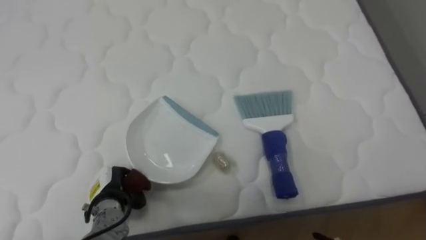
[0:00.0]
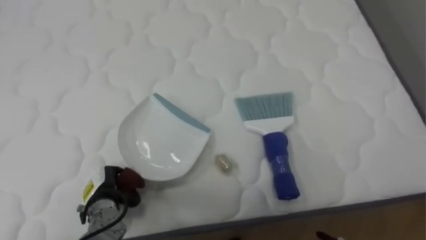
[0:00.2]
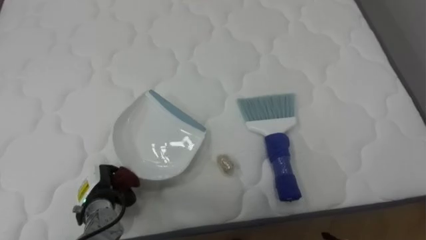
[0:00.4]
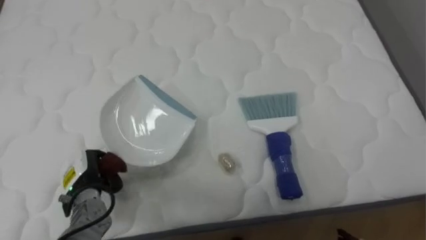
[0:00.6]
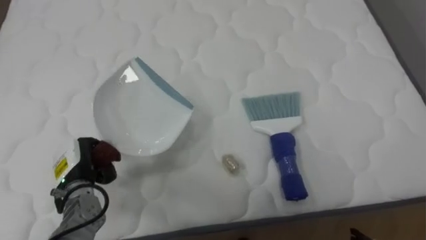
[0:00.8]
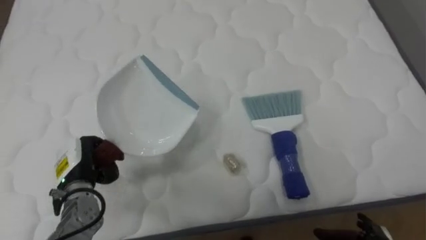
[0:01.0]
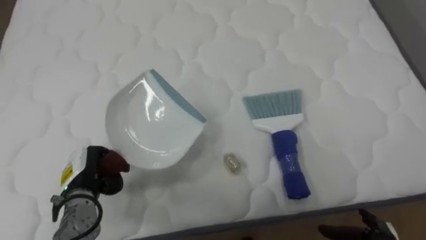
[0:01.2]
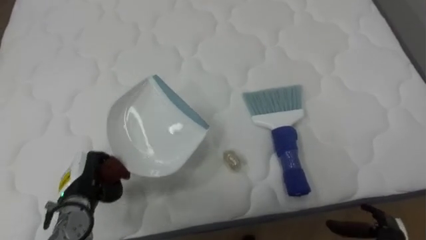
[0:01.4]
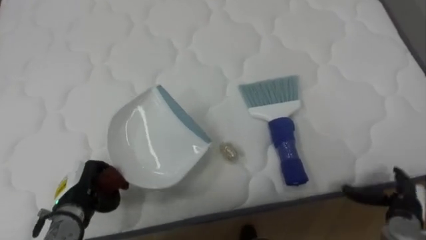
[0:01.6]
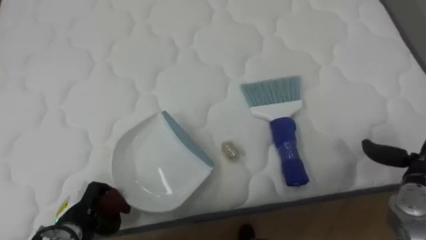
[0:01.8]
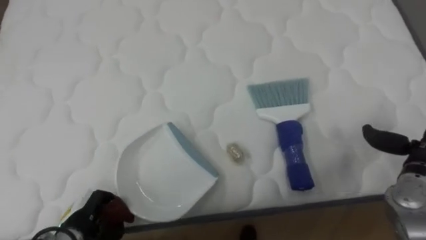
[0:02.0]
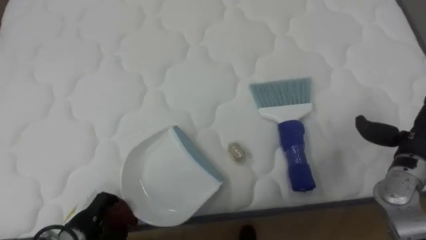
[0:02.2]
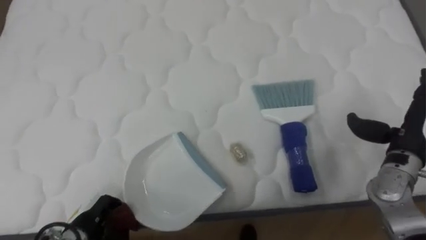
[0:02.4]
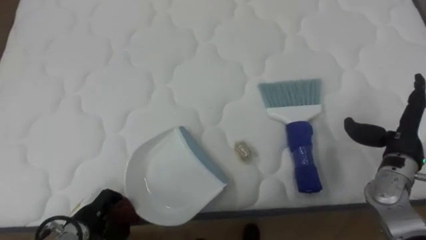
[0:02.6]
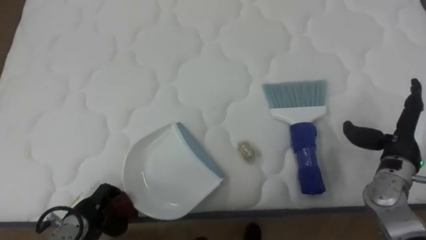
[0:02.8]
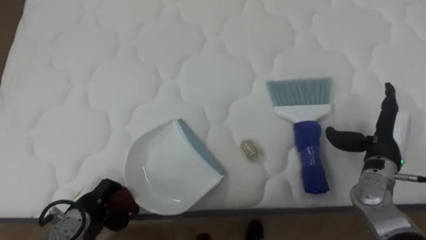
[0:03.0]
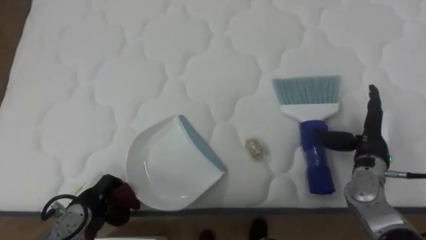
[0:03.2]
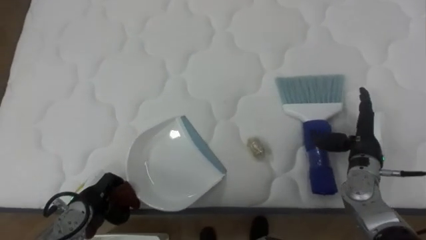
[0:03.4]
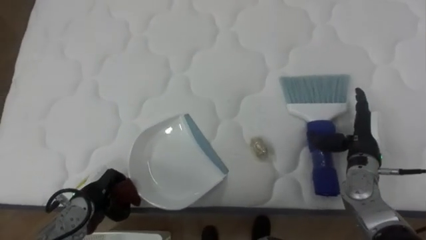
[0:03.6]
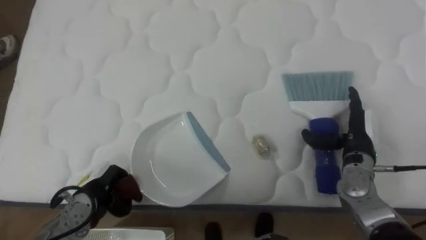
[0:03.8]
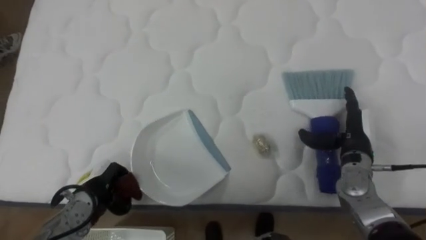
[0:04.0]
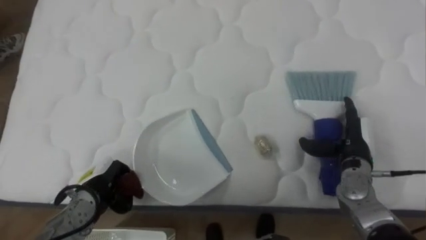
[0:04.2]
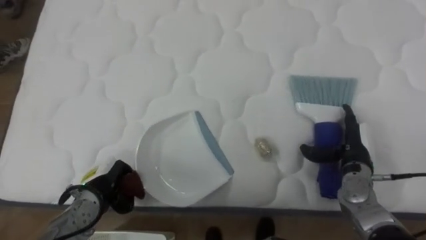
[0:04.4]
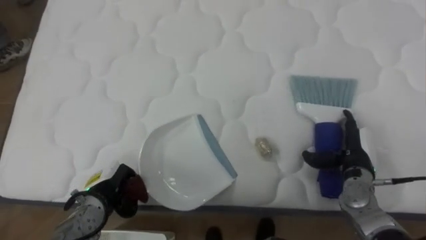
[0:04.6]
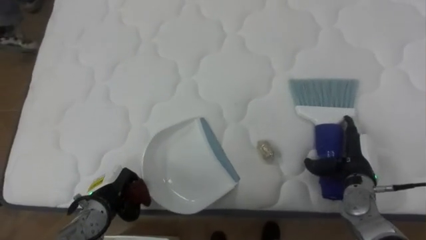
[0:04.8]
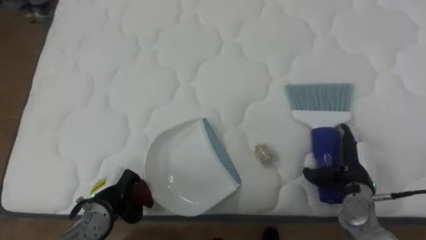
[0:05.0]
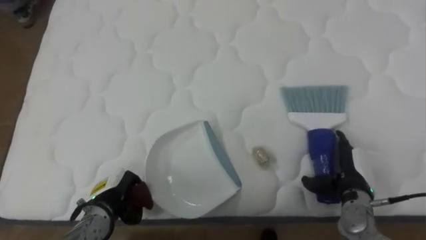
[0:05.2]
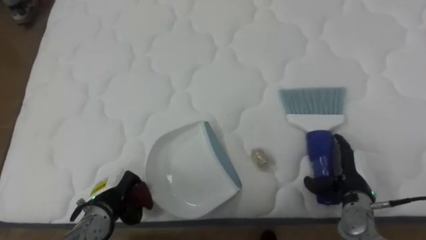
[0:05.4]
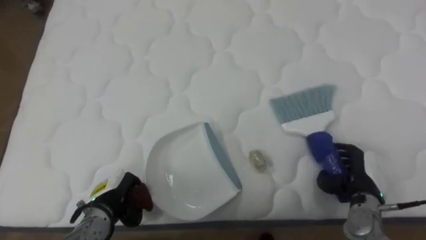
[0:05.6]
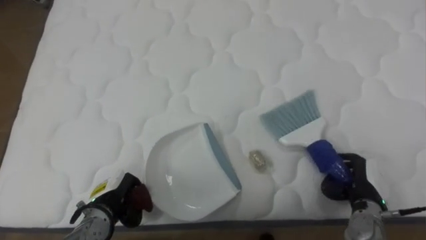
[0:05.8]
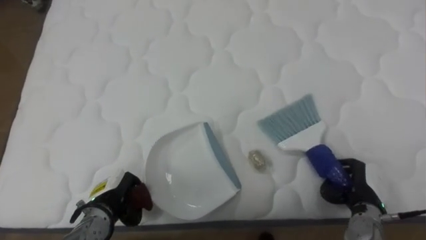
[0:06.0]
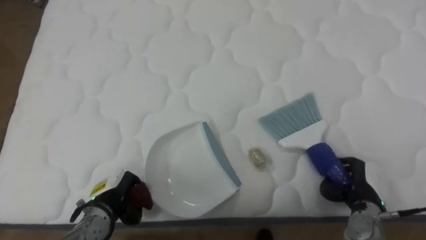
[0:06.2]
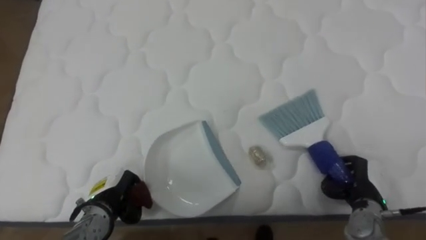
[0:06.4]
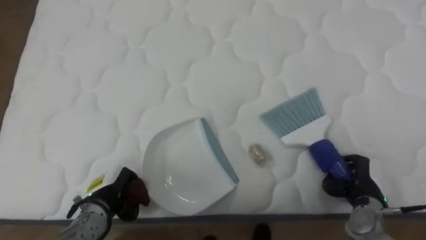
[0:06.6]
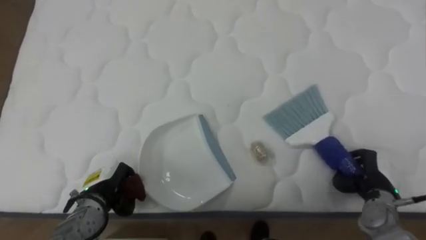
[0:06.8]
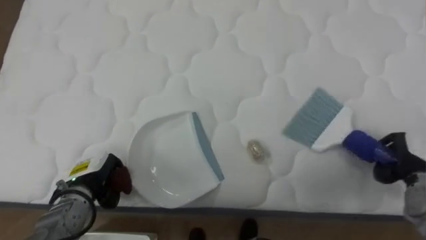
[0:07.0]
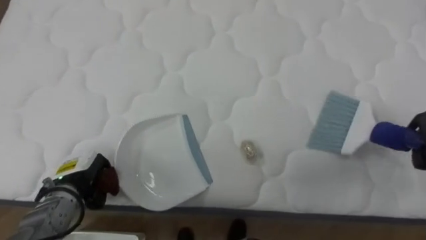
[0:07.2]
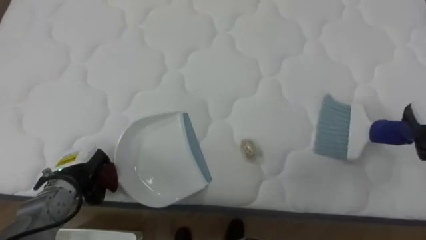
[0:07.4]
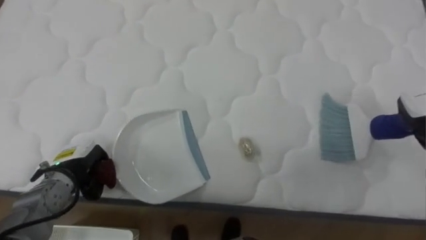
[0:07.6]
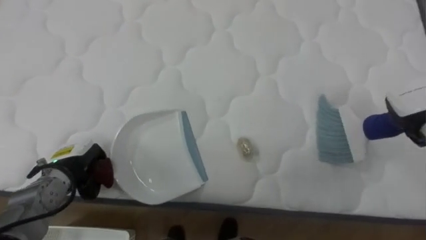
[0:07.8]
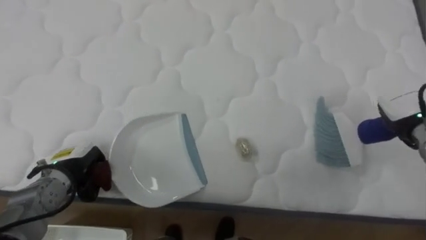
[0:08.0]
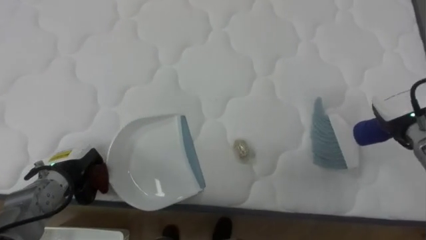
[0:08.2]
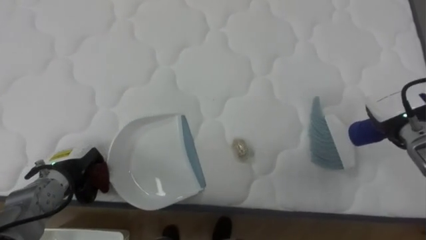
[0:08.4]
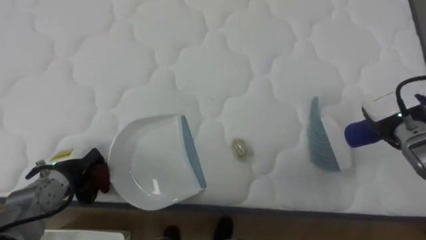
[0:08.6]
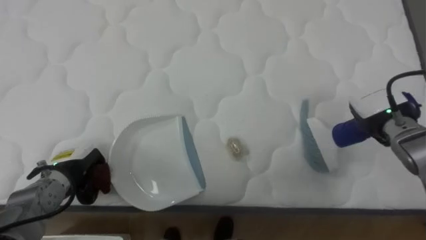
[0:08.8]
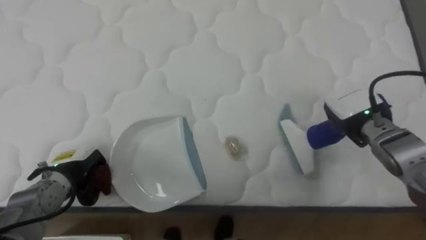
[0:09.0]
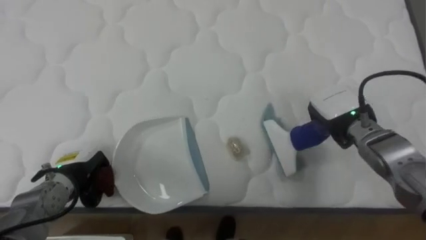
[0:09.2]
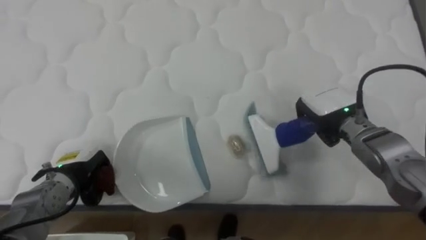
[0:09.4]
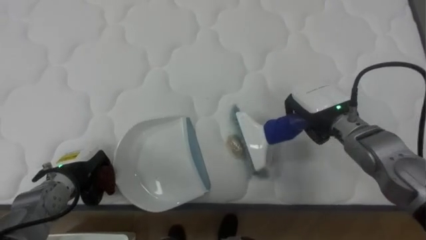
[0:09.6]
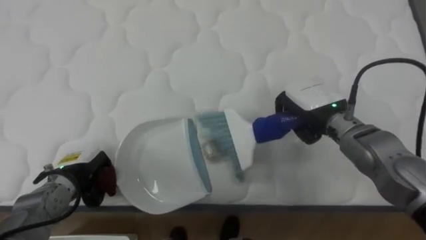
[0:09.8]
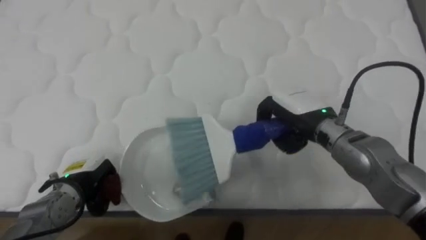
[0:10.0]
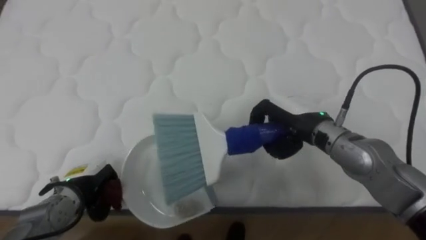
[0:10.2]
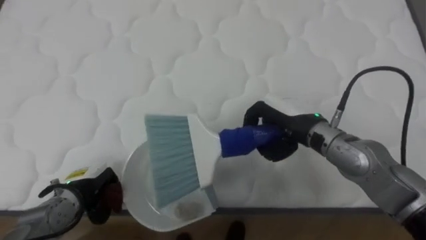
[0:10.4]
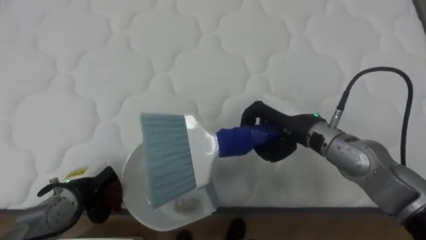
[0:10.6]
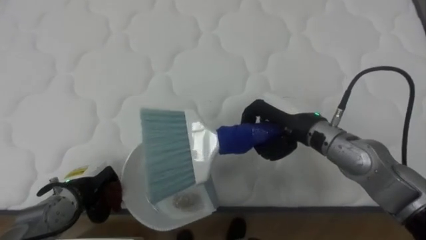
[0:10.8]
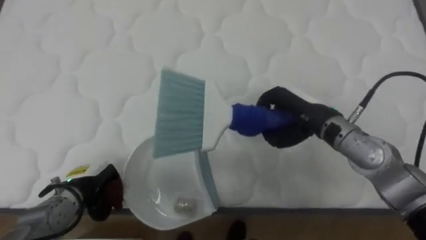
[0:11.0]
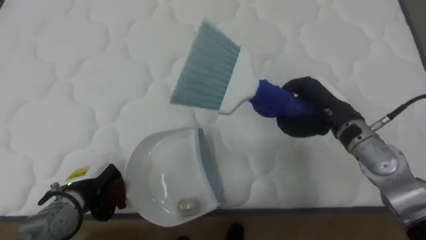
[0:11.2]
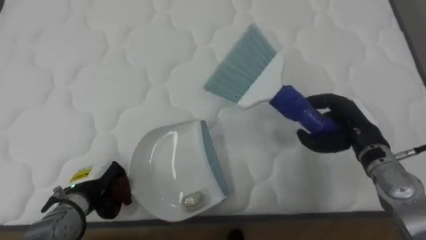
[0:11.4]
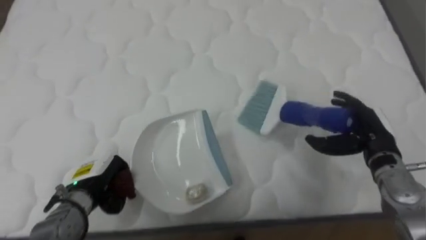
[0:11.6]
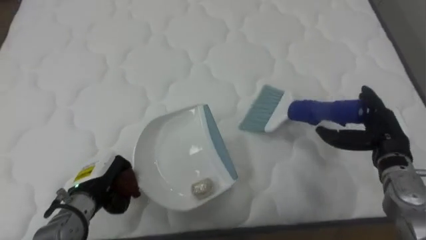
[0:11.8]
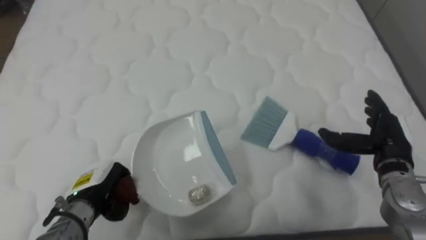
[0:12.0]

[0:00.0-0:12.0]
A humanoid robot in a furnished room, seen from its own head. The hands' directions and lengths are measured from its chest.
Task of the whole recording: Pick up the brush on your right and the dustpan on your left. Use the brush to sweep the crumpled paper on the bed into the dustpan, then turn left and empty it into the basket.
0:00.0 to 0:01.6: The left hand shifts roughly 5 cm to the left.
0:01.6 to 0:03.0: The right hand shifts about 15 cm upward, forward and to the left.
0:03.0 to 0:04.4: The right hand travels downward by about 5 cm.
0:04.4 to 0:06.0: The right hand shifts approximately 10 cm backward and downward, and closes up.
0:06.0 to 0:07.6: The left hand is displaced to the left and upward by roughly 10 cm.
0:07.6 to 0:09.0: The right hand moves to the left, approximately 15 cm.
0:09.0 to 0:10.4: The right hand moves to the left, about 15 cm.
0:10.4 to 0:12.0: The right hand heads to the right, covering some 20 cm, and opens.

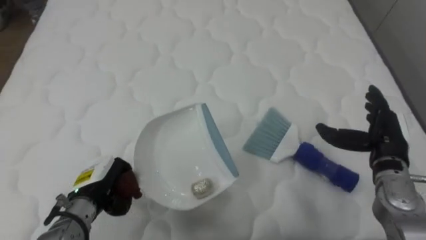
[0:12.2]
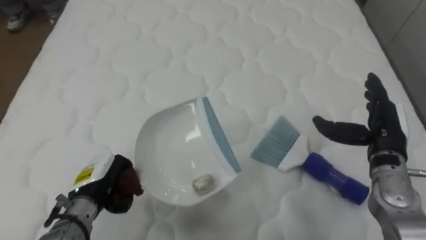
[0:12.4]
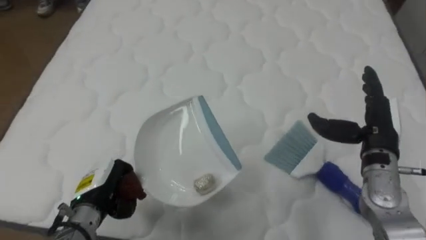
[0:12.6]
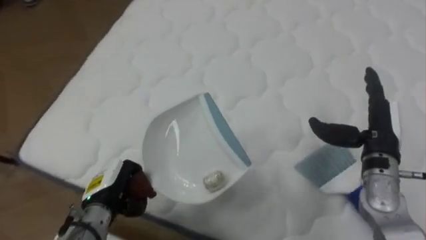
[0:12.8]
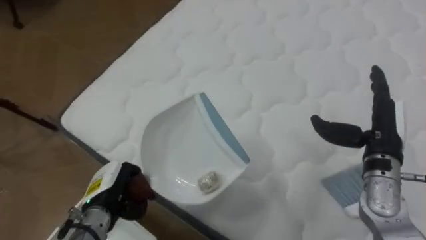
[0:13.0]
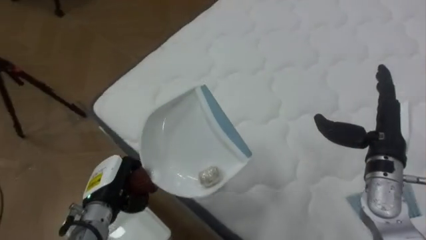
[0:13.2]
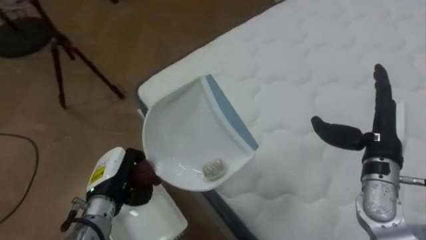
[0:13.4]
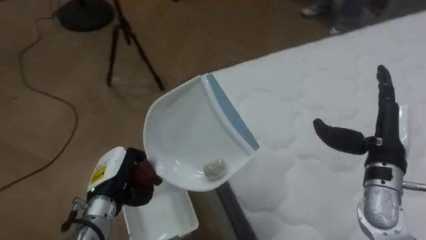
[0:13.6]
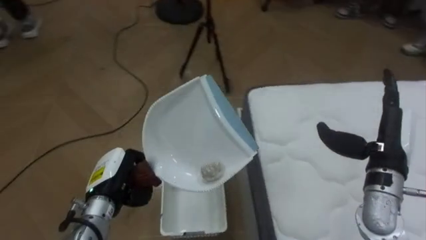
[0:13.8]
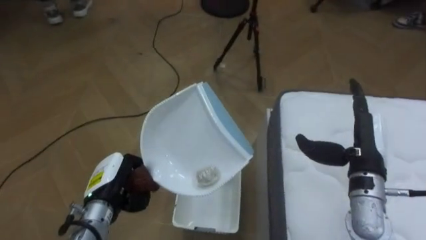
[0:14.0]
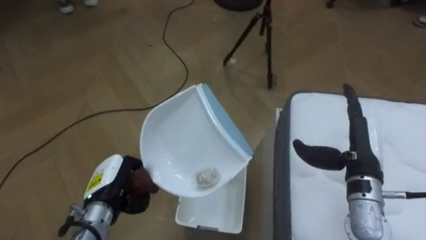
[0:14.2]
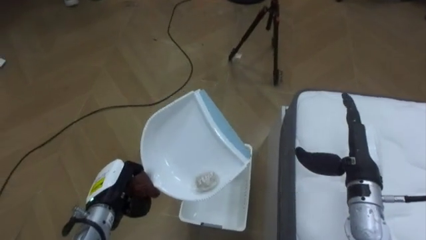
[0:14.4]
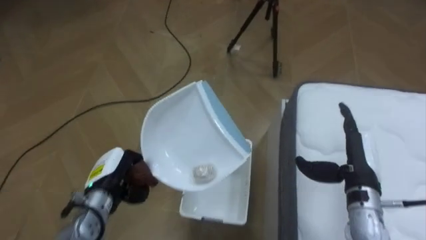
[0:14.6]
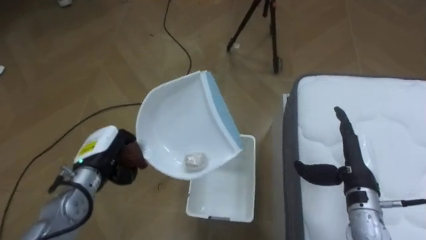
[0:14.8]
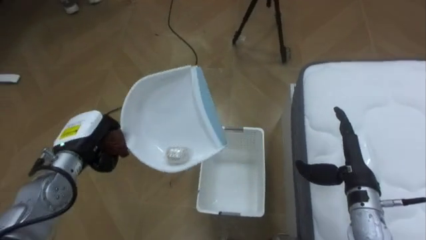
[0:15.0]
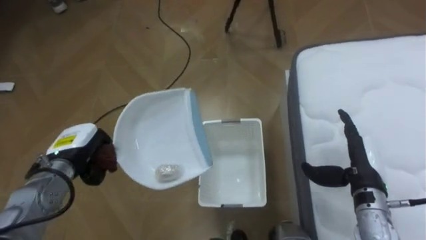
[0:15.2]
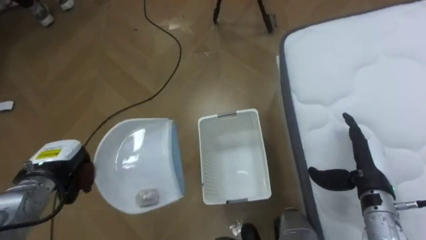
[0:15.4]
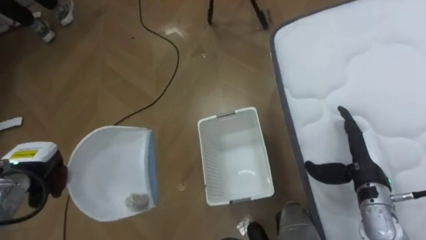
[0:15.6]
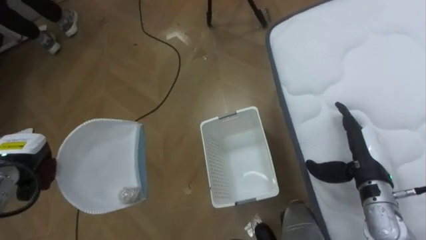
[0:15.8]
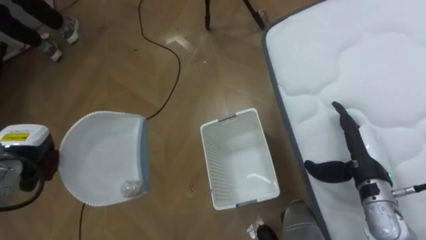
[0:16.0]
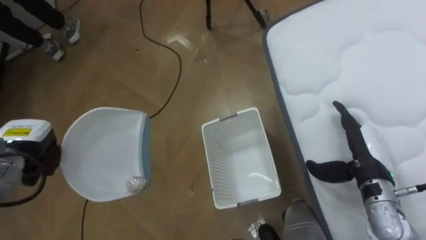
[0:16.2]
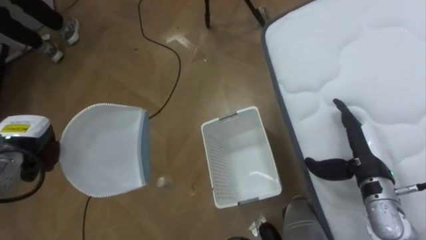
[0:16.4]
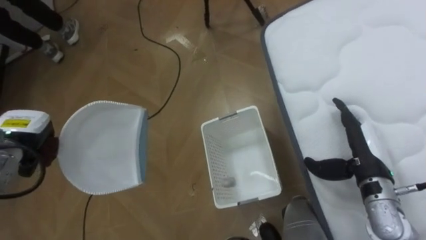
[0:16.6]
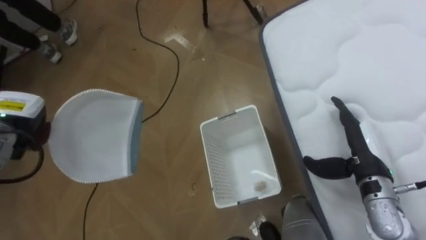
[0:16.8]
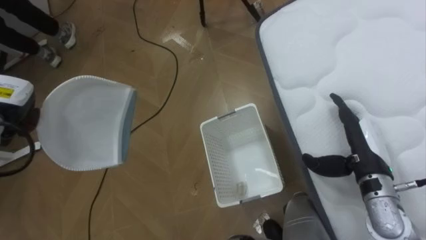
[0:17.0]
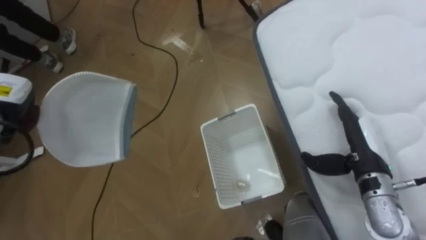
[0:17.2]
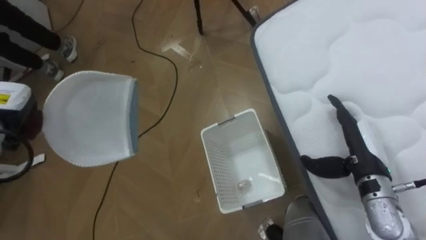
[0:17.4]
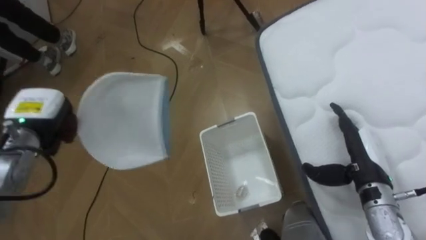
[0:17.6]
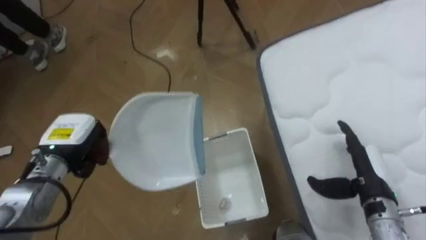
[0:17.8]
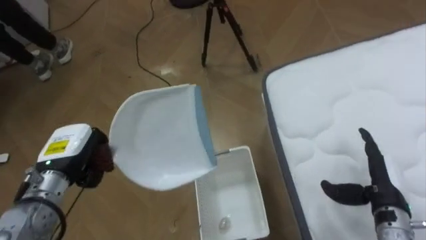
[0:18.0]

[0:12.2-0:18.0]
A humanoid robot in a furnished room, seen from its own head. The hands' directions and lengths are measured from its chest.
Task of the whole recording: Pick up the brush on your right and the dustpan on your left. Use the brush to sweep the crumpled paper on the bed into the dustpan, then turn left and empty it into the basket.
0:12.2 to 0:13.6: The robot's body swings roughly 70 degrees to its left. The right hand moves roughly 5 cm.
0:13.6 to 0:15.0: The robot rotates some 35 degrees to its left. The left hand travels forward and to the left by about 10 cm. The right hand shifts about 5 cm downward.
0:15.0 to 0:16.6: The left hand is displaced to the left by some 10 cm.
0:16.6 to 0:18.0: The right hand shifts by some 5 cm.
